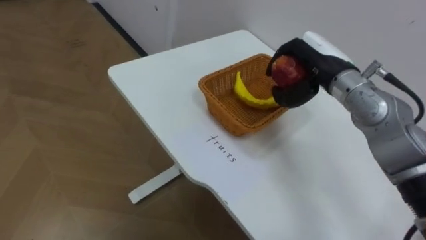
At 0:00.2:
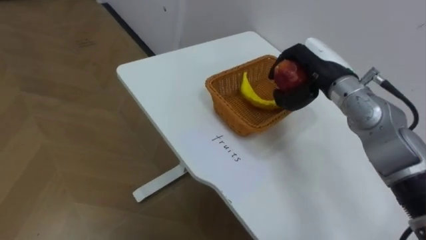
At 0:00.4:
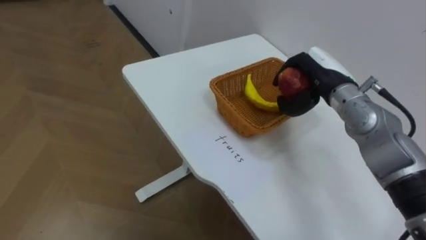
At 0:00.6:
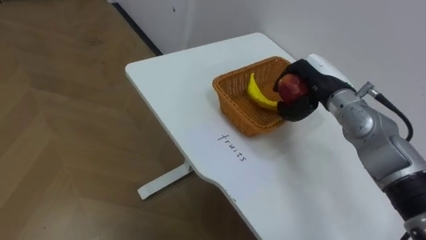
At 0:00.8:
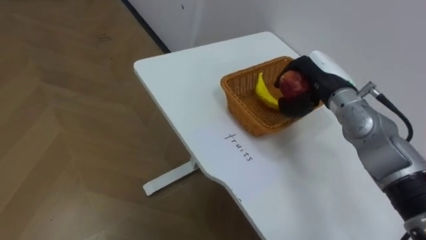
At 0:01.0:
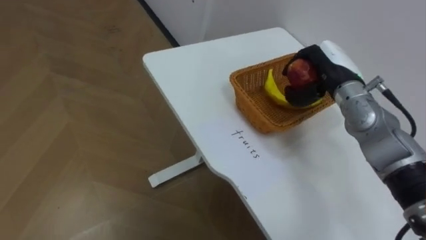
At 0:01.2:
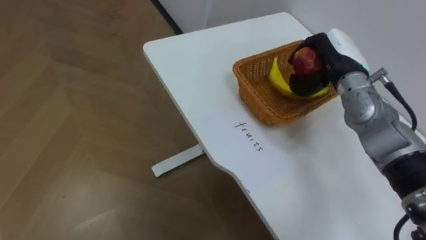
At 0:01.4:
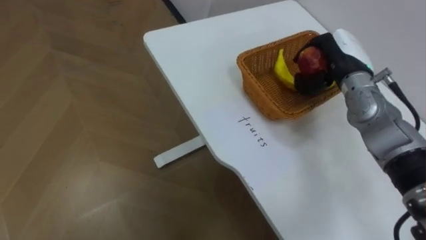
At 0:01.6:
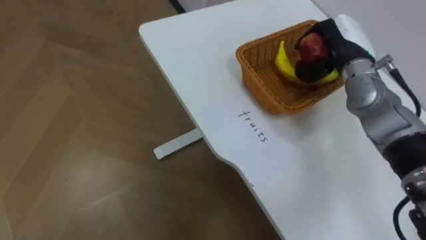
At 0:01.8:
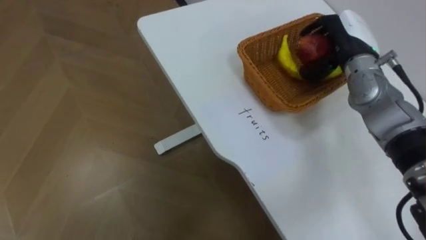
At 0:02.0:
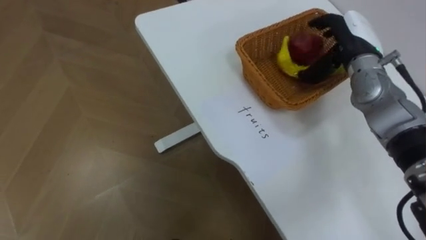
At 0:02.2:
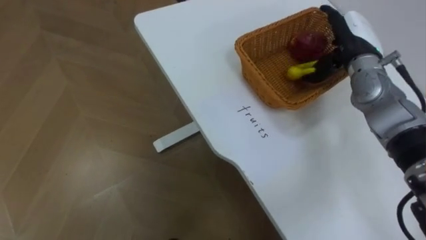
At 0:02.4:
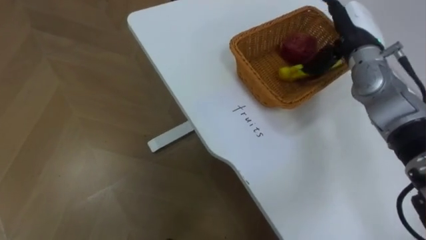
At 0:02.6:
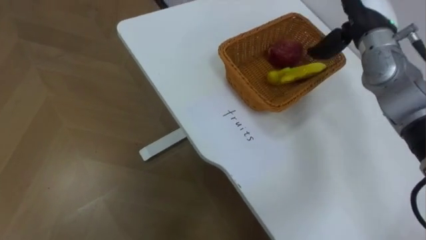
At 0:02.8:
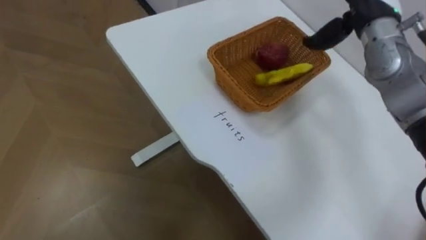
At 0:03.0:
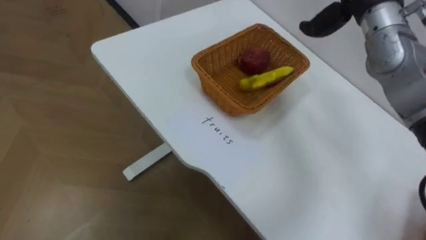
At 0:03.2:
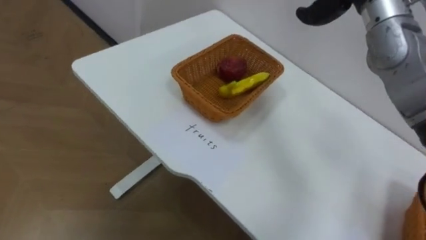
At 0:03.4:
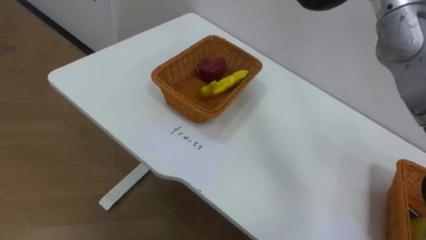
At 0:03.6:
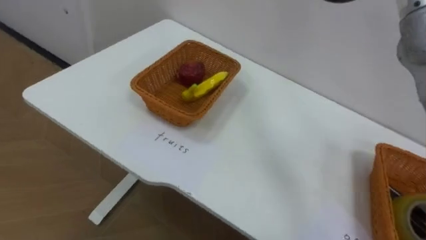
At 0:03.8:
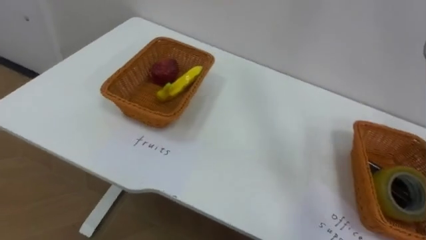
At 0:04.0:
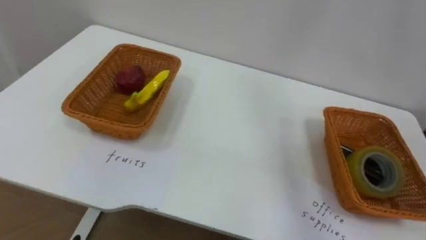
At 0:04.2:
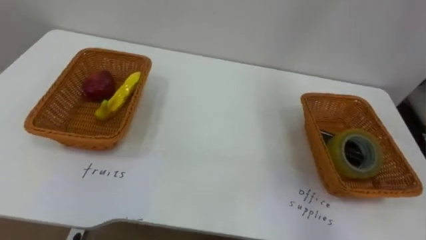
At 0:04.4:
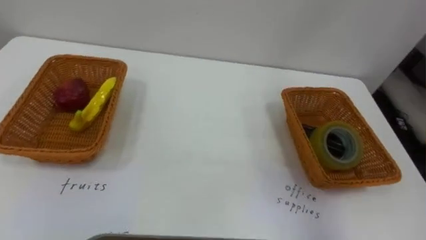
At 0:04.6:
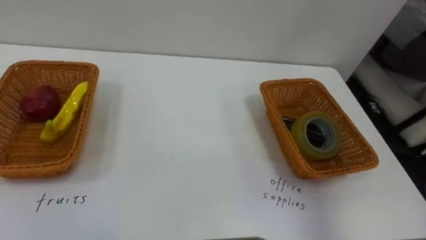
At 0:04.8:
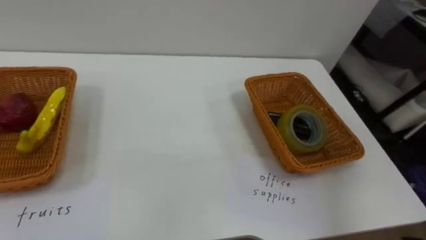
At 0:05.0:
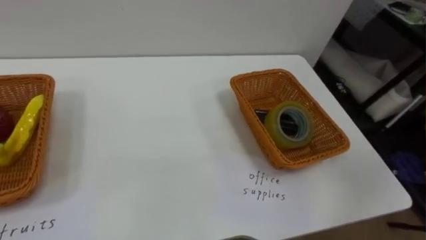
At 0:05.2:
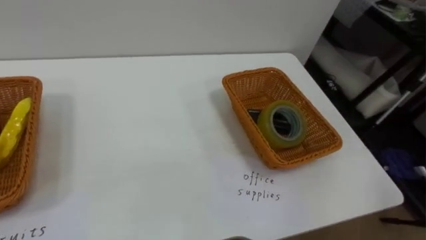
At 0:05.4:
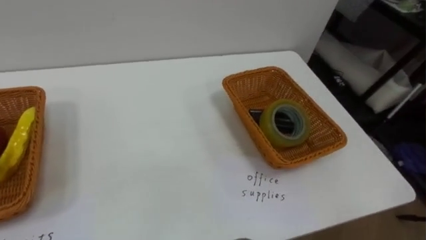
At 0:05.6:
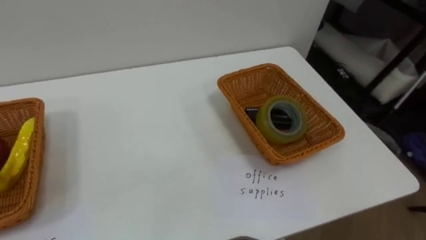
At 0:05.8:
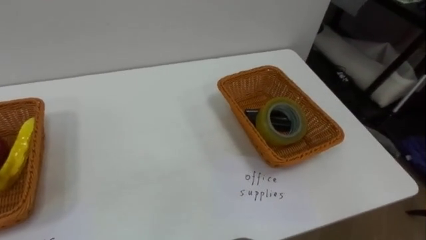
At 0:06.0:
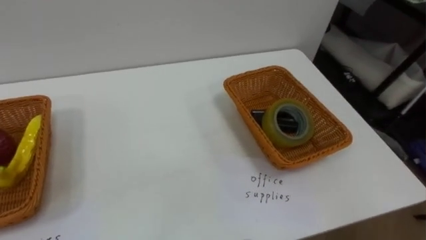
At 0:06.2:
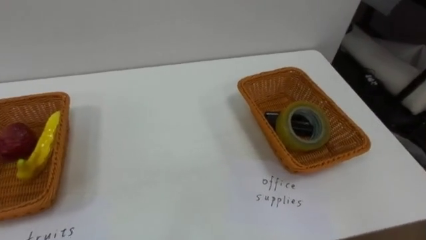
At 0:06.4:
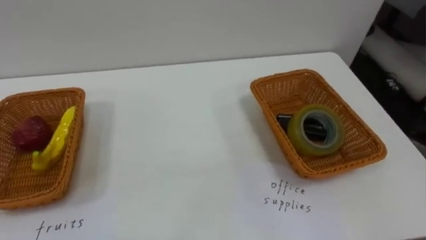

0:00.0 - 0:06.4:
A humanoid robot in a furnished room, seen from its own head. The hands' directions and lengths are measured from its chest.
Task of the whole recording: Separate the items on the table and place them into the two baskets.
0:00.0 - 0:01.6: The right hand moves roughly 5 cm.

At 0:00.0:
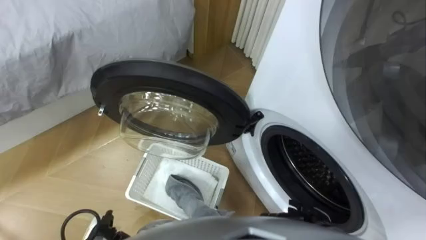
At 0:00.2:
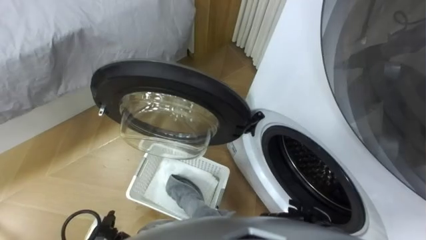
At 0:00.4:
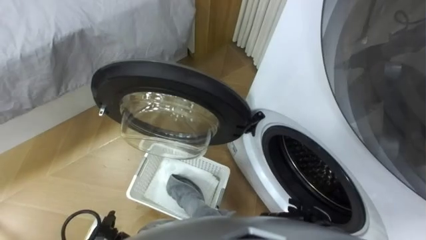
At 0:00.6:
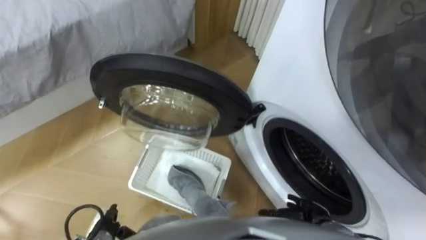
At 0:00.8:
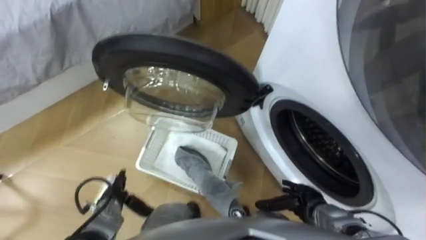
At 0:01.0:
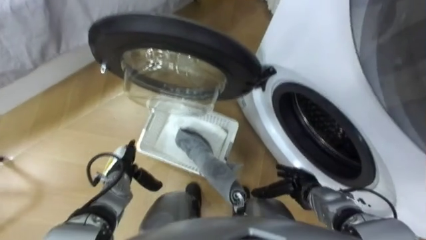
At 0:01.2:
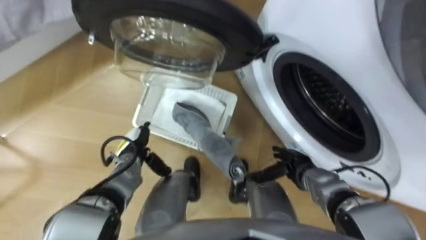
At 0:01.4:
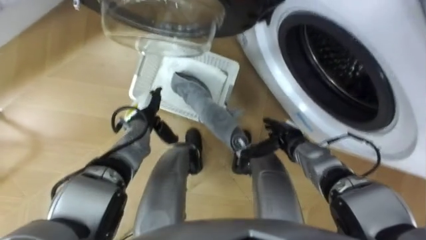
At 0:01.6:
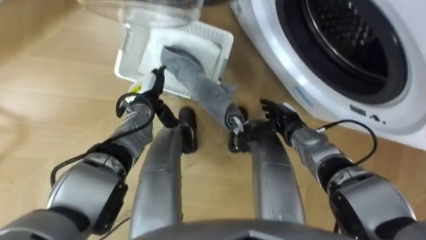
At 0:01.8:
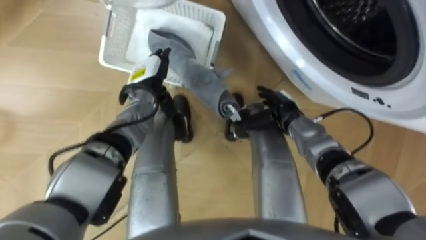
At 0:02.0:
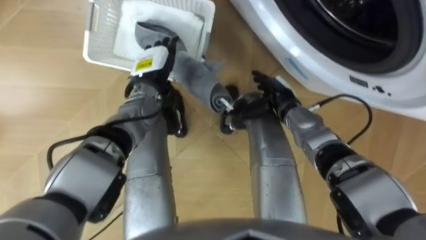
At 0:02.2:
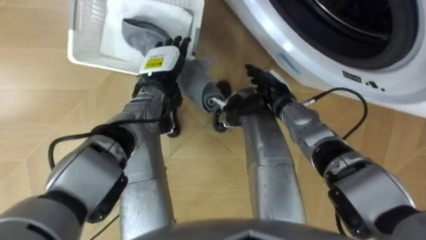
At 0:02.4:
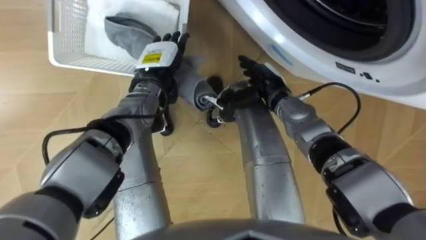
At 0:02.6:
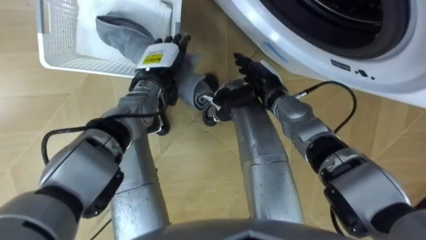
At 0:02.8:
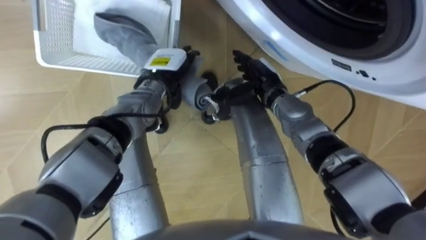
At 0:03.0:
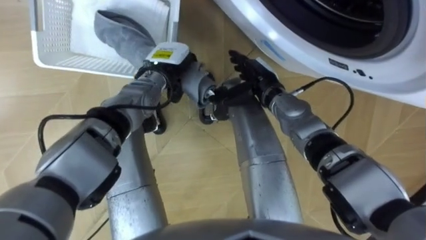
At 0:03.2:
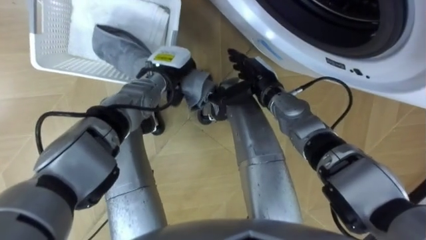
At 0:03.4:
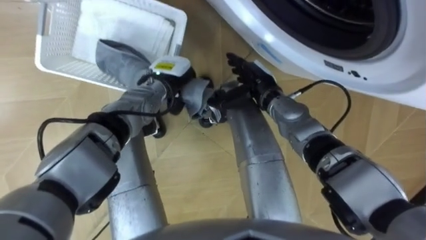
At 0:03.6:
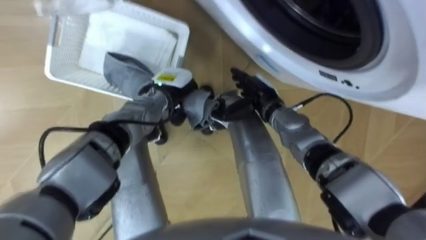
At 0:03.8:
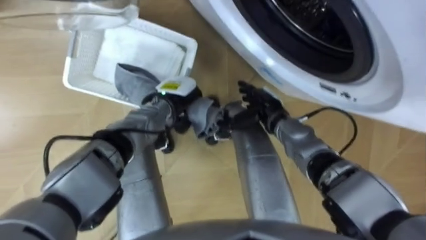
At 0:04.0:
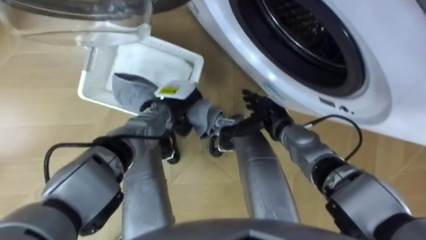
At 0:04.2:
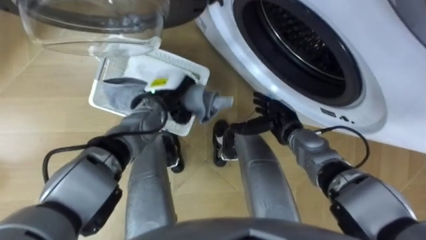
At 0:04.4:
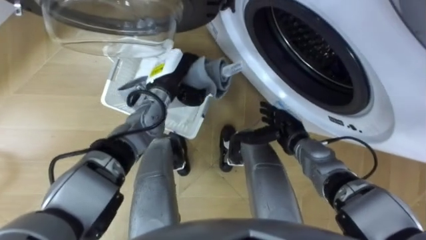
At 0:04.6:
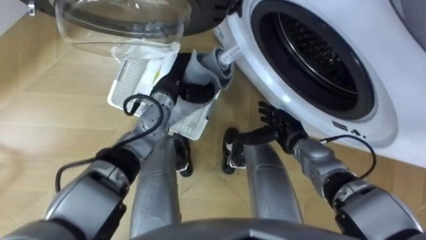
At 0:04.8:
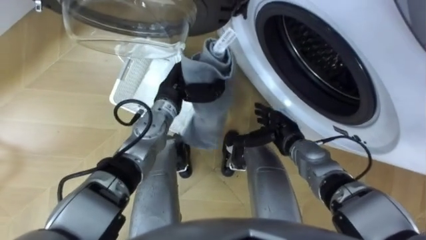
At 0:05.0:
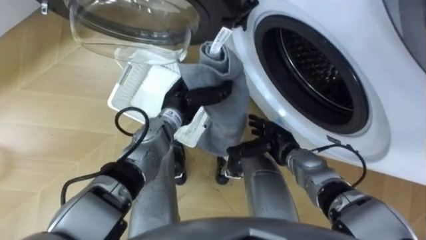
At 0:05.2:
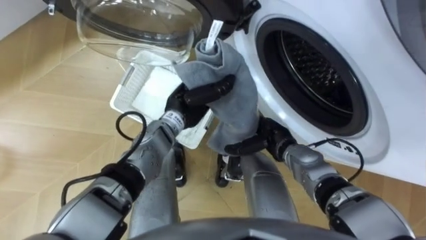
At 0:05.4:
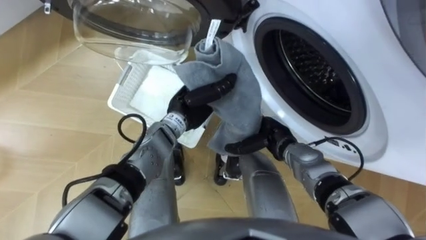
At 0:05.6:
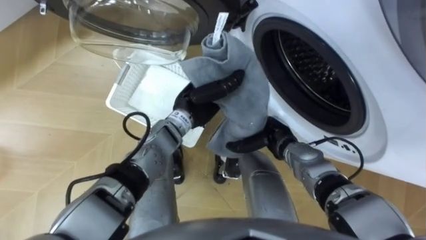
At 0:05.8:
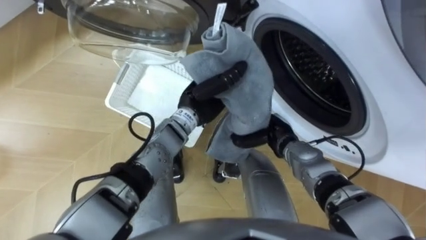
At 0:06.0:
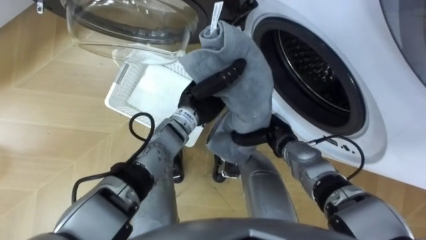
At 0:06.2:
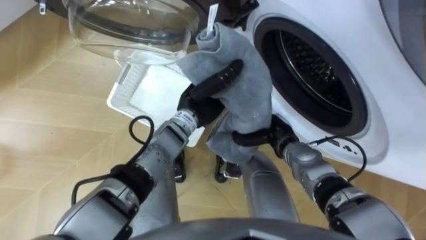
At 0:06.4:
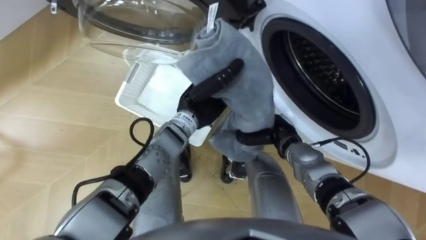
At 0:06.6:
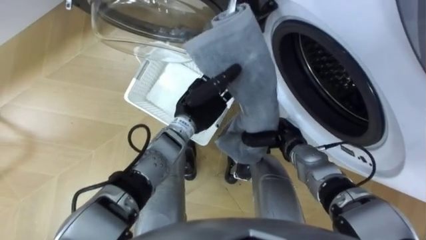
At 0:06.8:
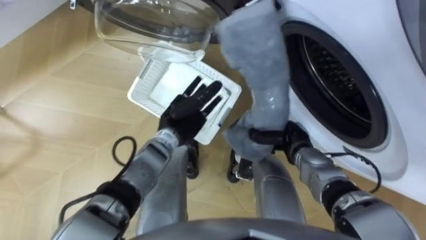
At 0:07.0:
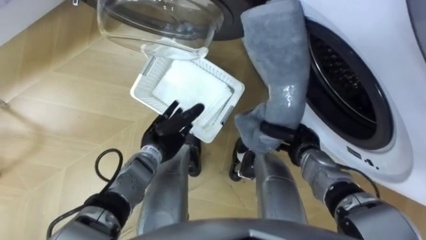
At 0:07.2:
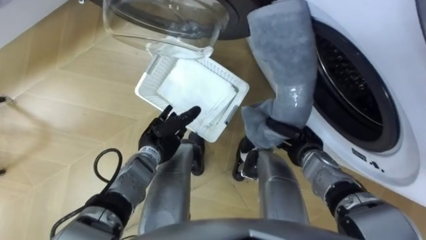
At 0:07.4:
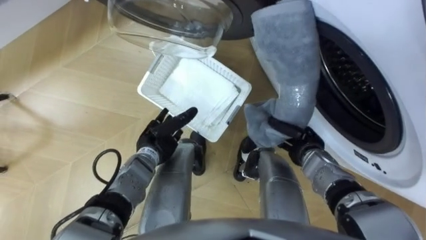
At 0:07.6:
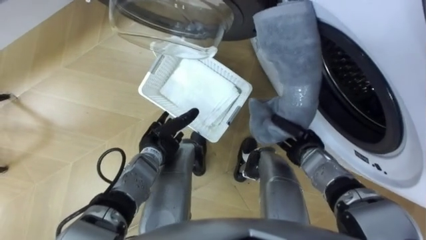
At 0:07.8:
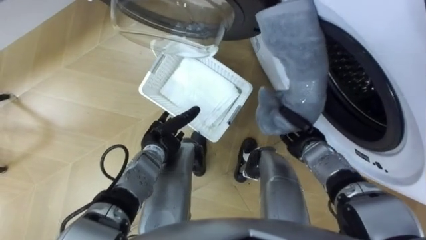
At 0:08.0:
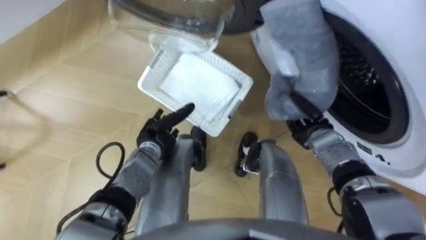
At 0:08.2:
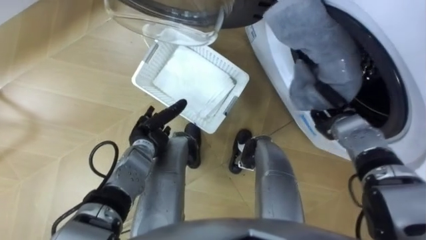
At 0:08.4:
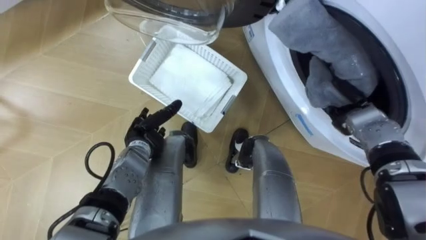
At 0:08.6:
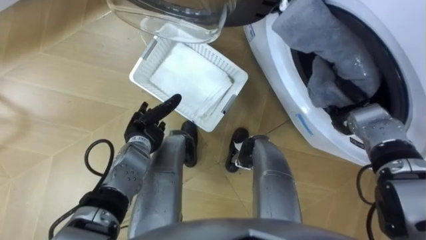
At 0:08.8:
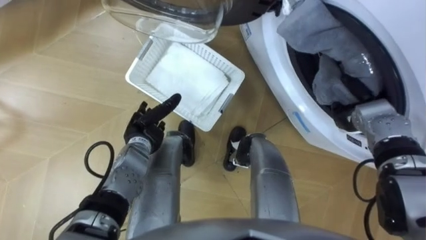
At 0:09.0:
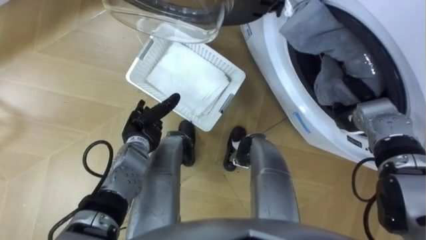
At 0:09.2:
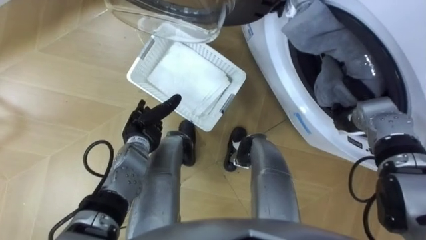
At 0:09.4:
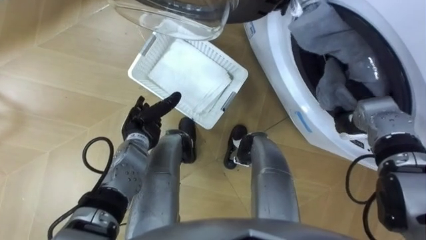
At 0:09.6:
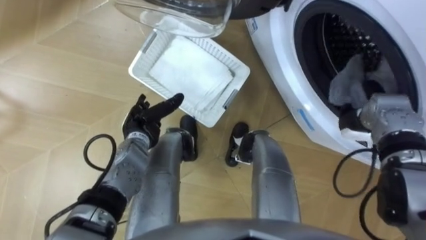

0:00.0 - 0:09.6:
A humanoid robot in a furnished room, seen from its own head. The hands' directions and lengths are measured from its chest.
Task of the whole recording: Take the towel from the basket and put it into the washing machine.
0:01.6 - 0:03.2: The right hand goes approximately 15 cm upward, to the left and forward, while the left hand shifts about 10 cm to the right and upward, and closes up.
0:03.2 - 0:04.8: The right hand moves downward, backward and to the right, about 15 cm.
0:04.8 - 0:06.4: The right hand closes; the left hand moves to the right, approximately 5 cm.
0:06.4 - 0:08.0: The left hand moves to the left, downward and backward, approximately 15 cm, and opens up. Meanwhile the right hand heads to the right, covering roughly 10 cm.
0:08.0 - 0:09.6: The right hand is displaced to the right and upward by some 10 cm.
